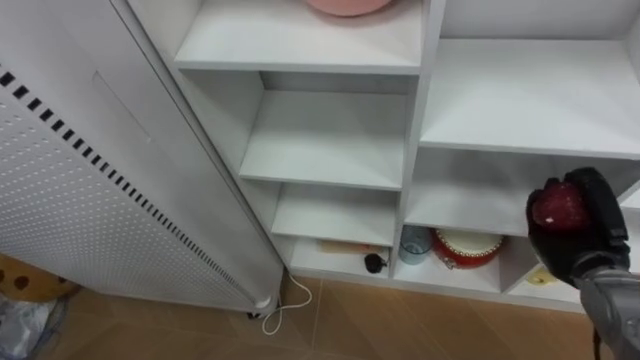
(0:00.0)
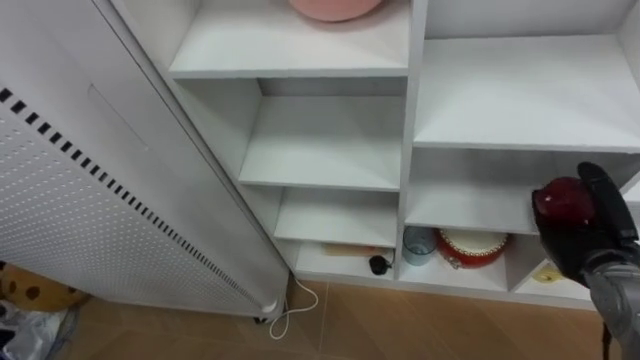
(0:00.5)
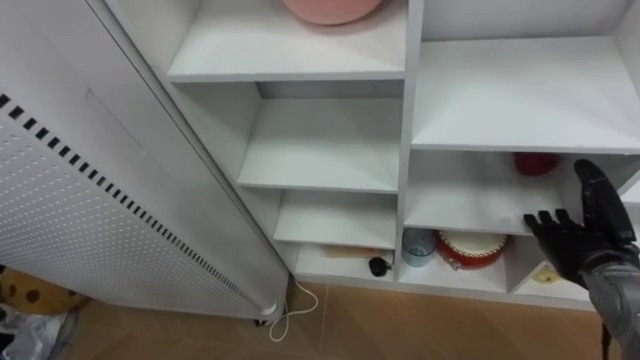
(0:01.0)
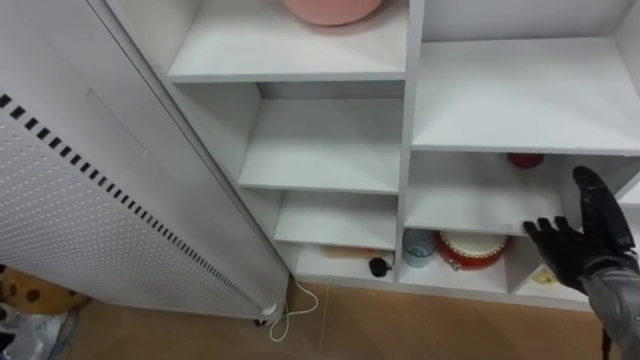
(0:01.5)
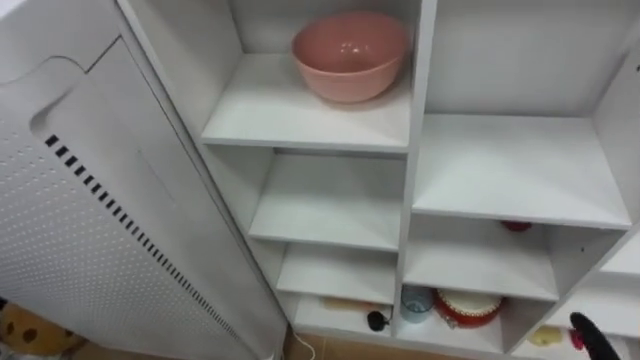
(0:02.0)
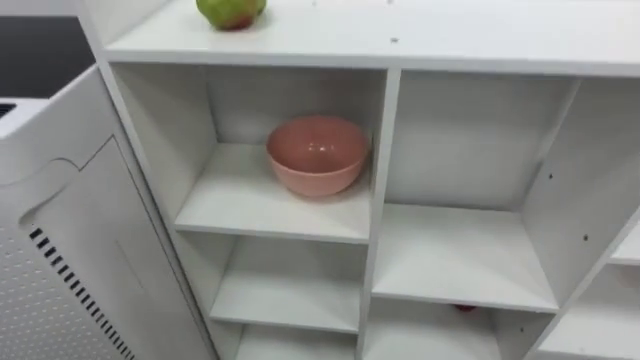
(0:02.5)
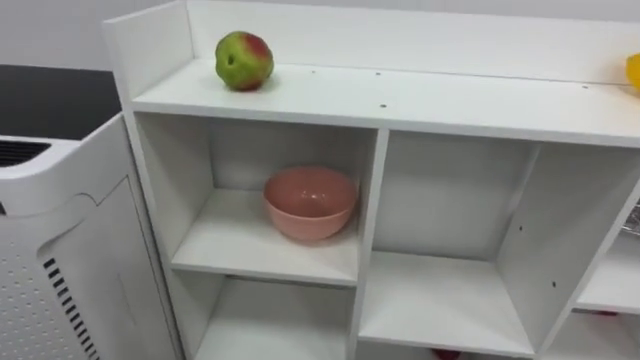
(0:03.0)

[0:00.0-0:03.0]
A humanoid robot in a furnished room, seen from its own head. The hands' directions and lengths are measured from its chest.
Task of the whole recording: Put the apple in the cell in the second column from the left and the second row from the top.
0:00.0 to 0:01.5: The right hand opens up.

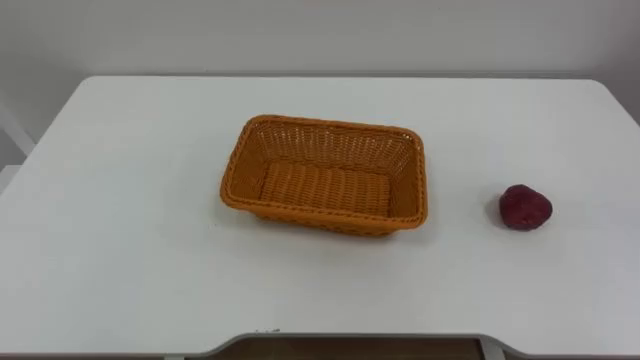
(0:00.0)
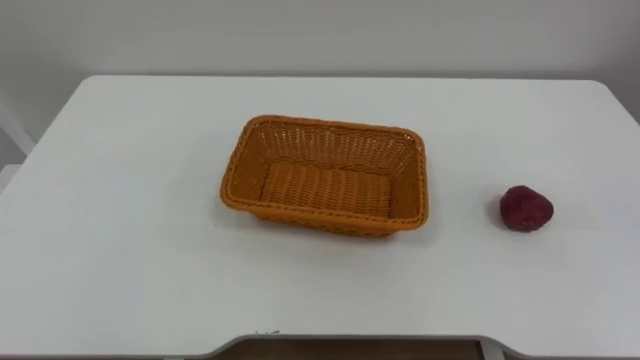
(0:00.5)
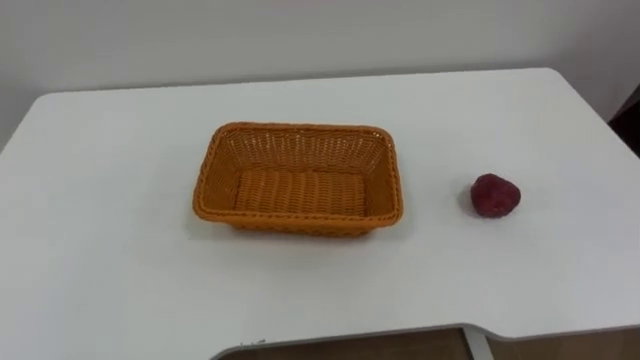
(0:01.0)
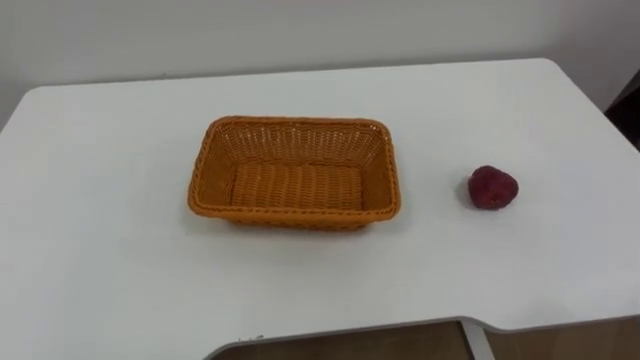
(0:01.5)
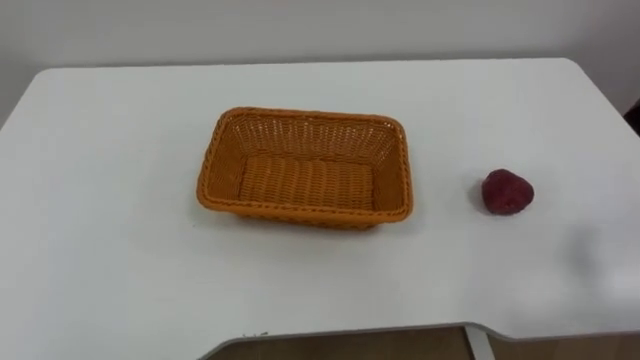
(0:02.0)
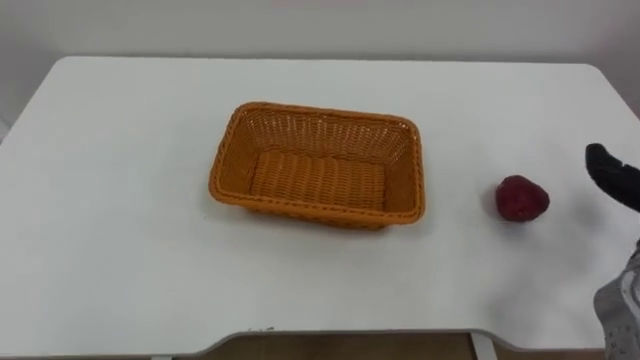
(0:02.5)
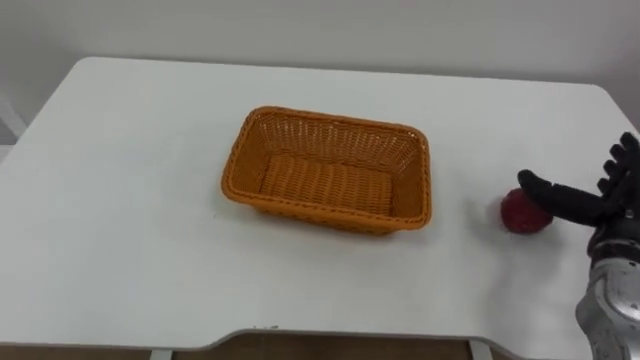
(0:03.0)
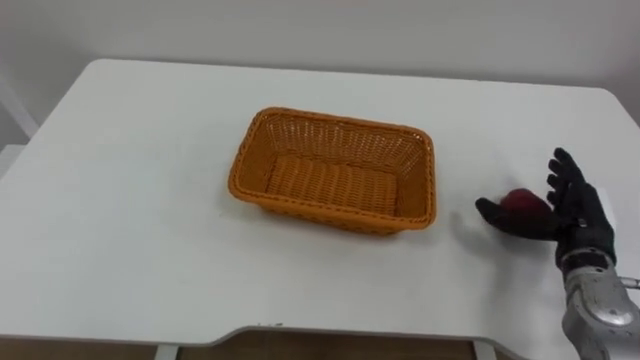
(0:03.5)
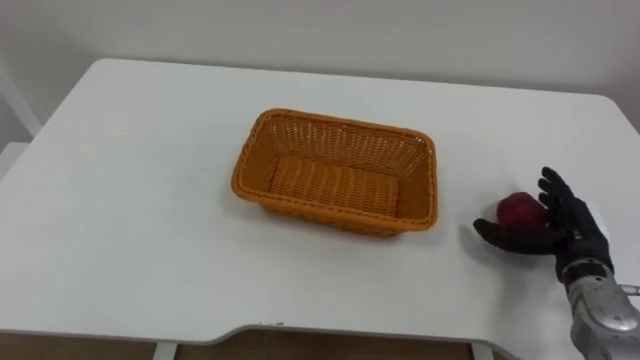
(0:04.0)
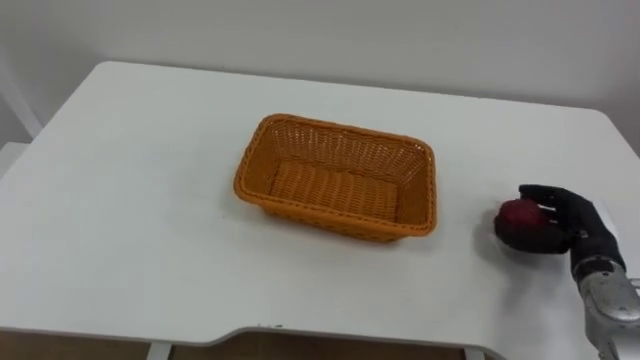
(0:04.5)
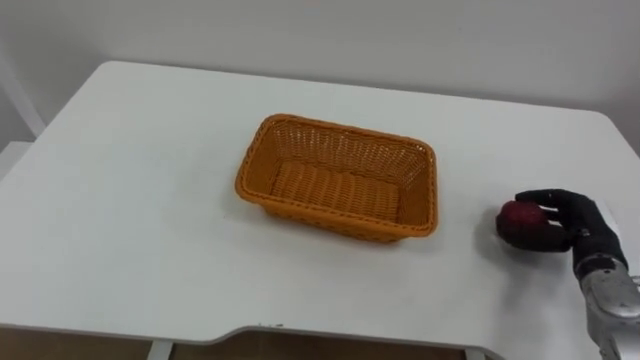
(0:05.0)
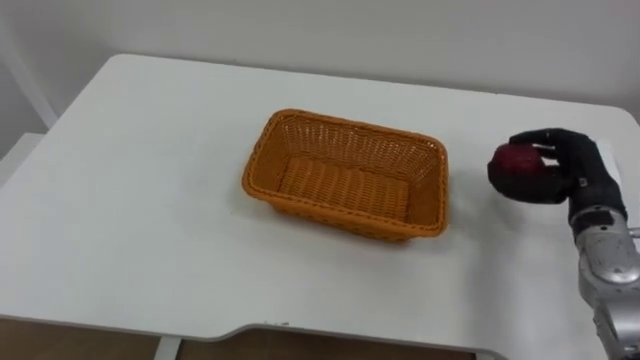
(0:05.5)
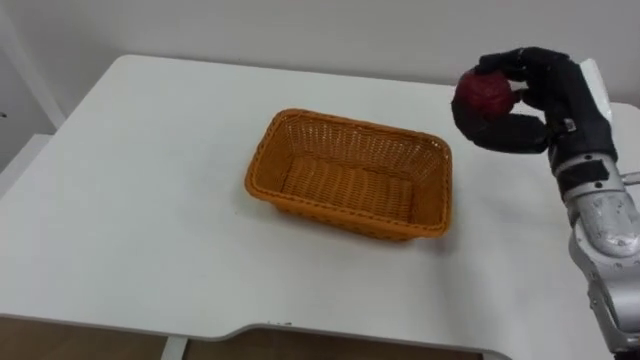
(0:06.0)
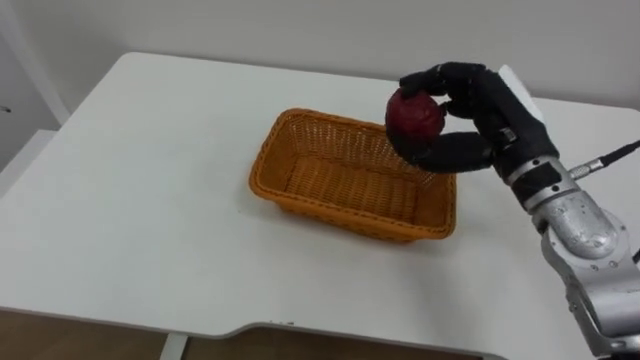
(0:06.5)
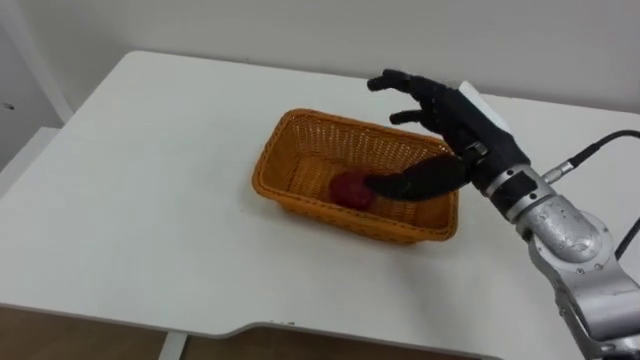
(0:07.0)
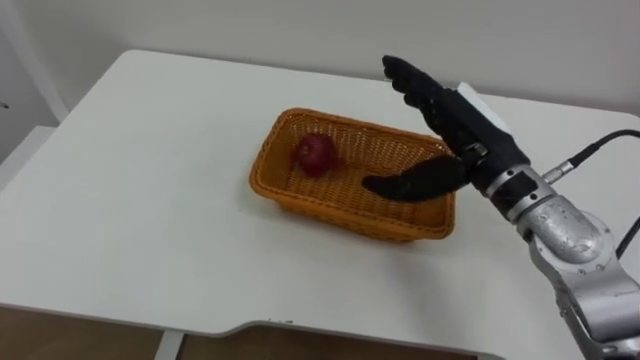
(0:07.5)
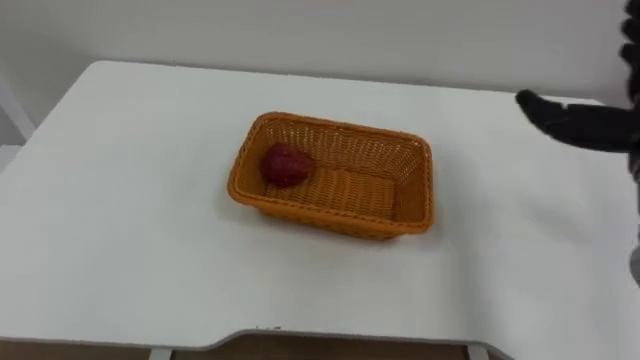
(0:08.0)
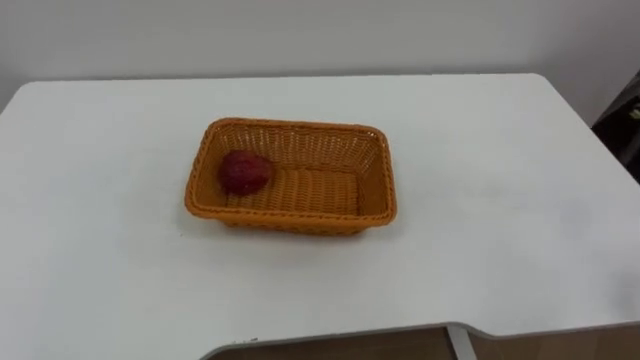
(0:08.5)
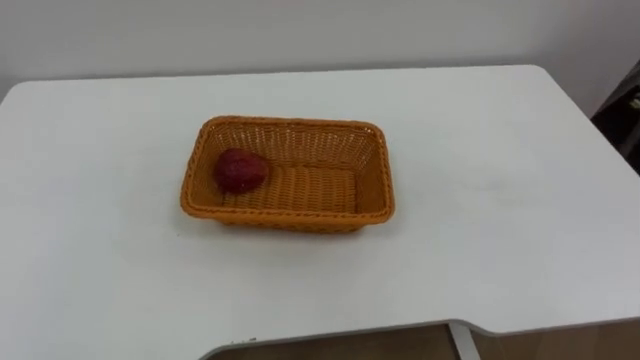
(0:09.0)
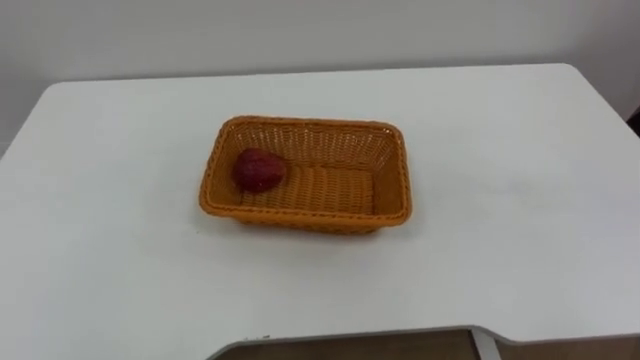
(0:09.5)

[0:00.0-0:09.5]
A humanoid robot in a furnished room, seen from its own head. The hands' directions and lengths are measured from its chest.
Task of the whole recording: Pick the apple and place it in the box.
0:04.0 to 0:05.5: The right hand is displaced upward by approximately 5 cm, and closes.
0:05.5 to 0:07.5: The right hand is displaced to the left and upward by approximately 20 cm, and opens.

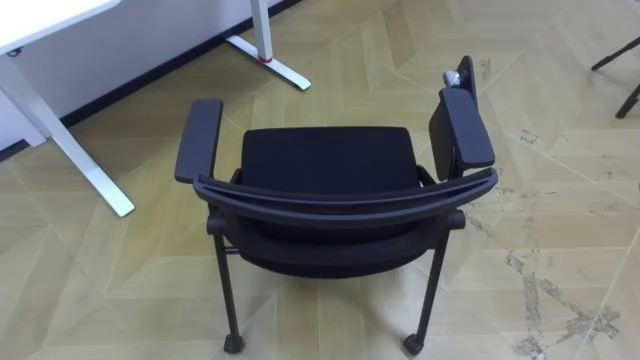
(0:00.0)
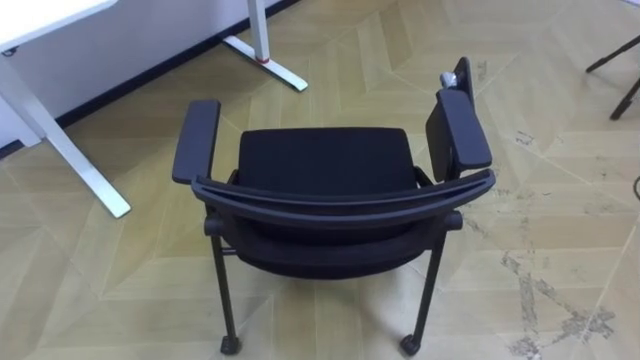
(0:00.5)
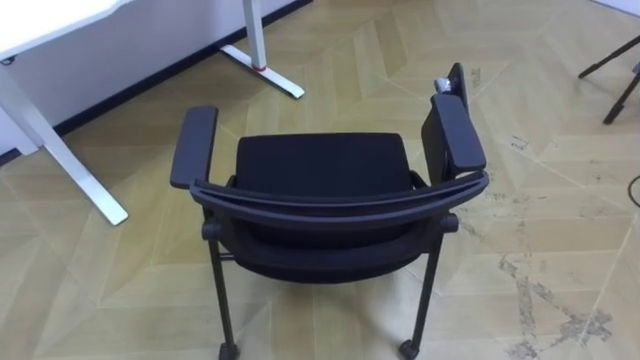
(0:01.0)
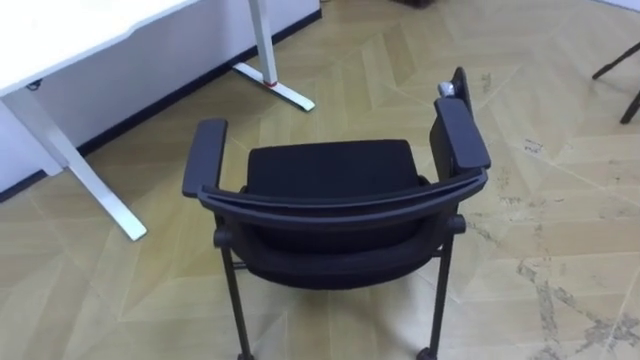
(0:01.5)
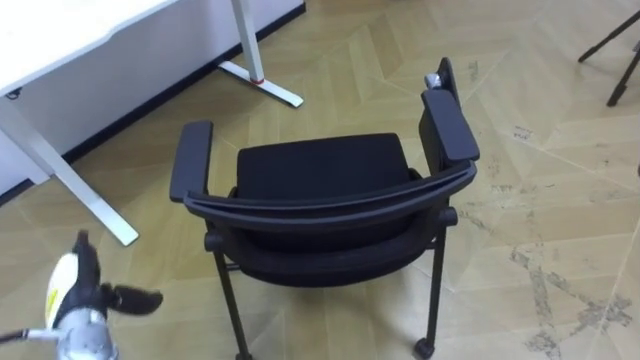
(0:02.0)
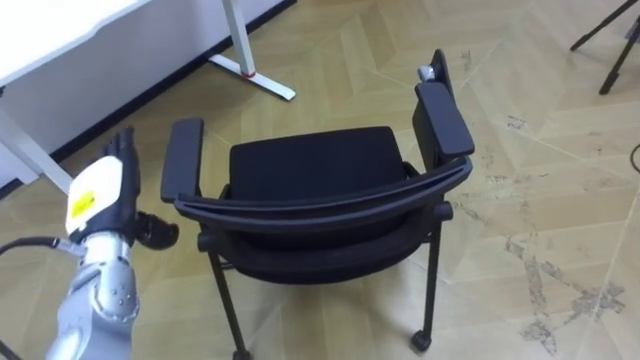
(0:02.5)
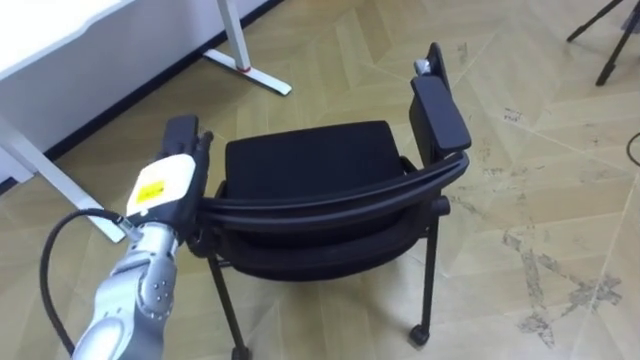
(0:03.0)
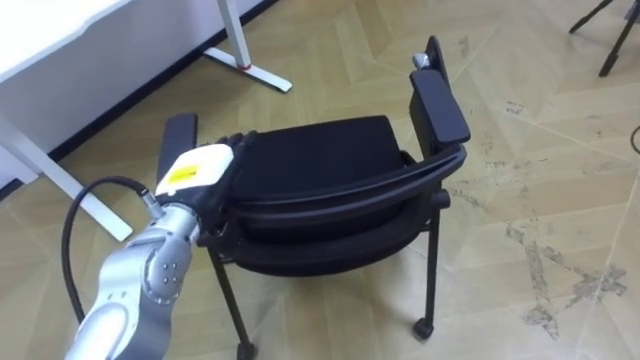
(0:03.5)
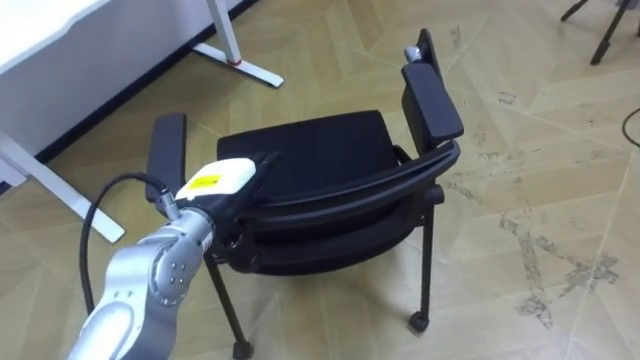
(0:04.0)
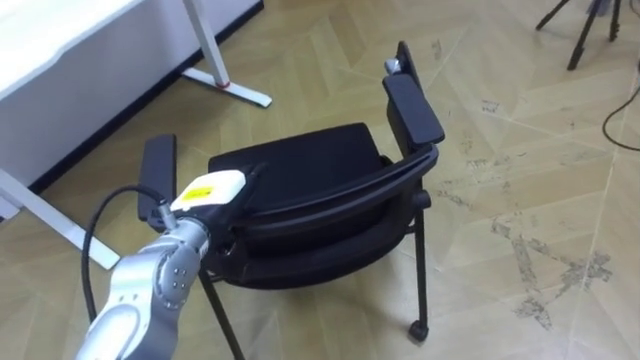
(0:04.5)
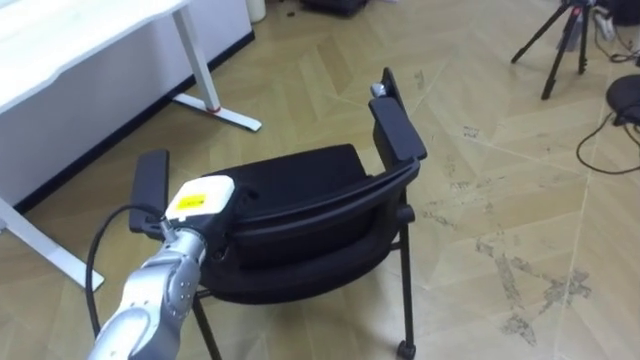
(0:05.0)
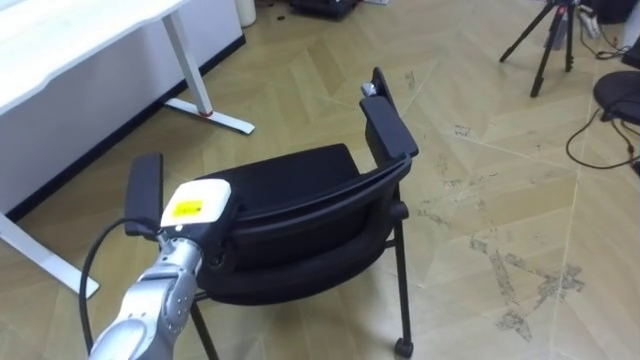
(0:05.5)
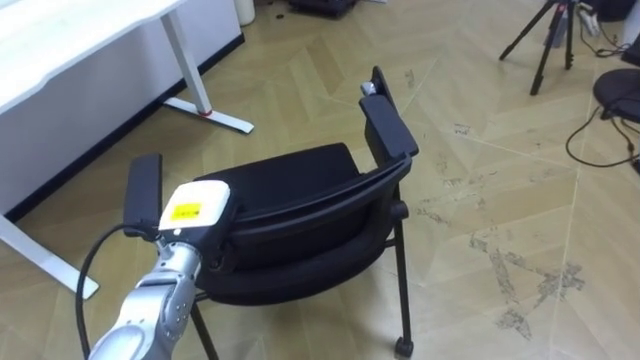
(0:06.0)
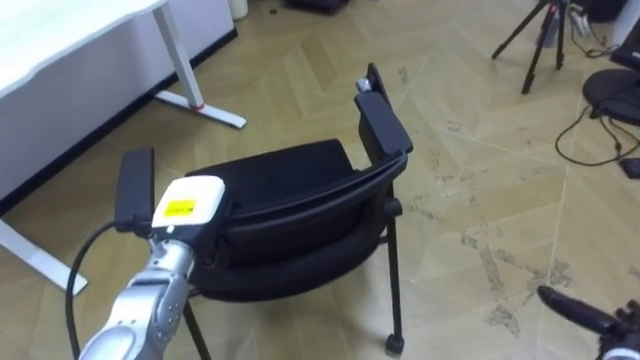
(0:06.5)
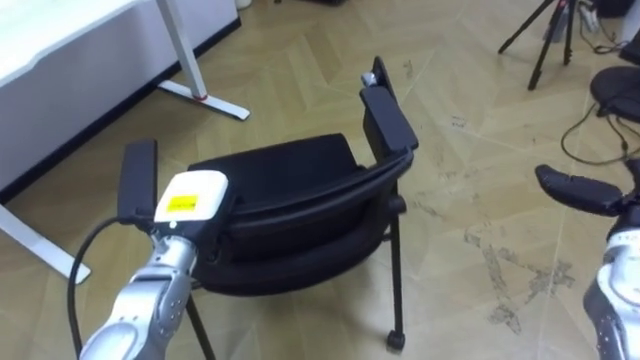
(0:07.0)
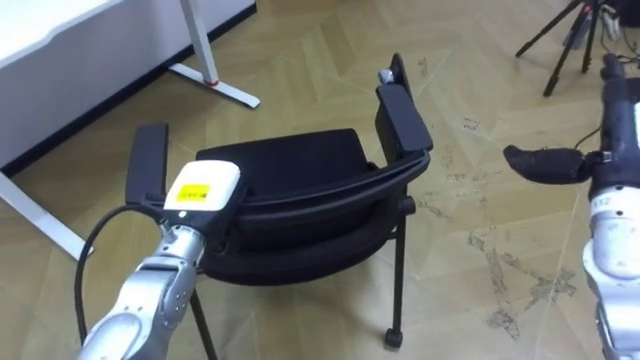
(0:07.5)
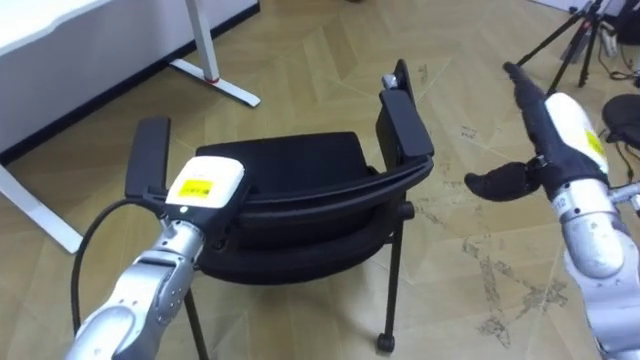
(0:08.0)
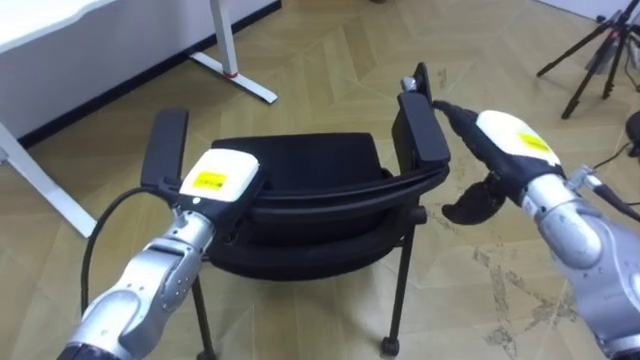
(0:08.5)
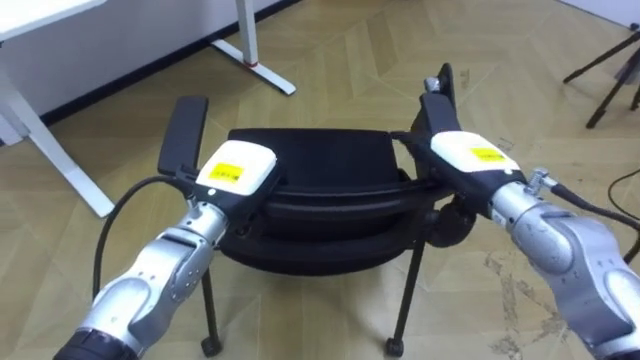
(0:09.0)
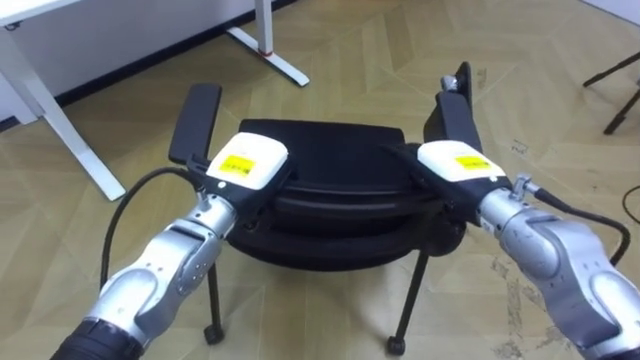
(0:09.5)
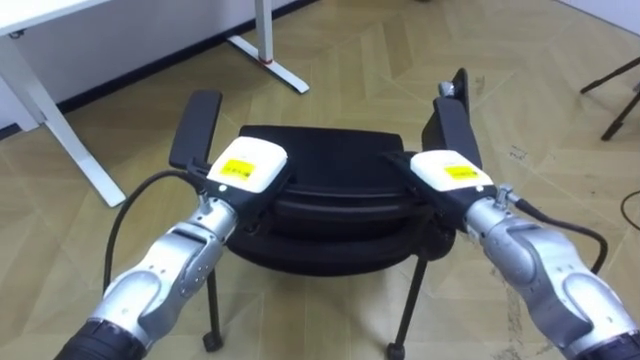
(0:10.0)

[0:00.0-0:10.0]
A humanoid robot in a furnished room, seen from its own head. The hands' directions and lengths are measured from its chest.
Task of the whole recording: Push the chair under the table.
0:02.0 to 0:04.0: The left hand travels to the right, upward and forward by about 25 cm.
0:04.0 to 0:06.0: The left hand goes about 5 cm downward, and closes its fingers.
0:08.0 to 0:10.0: The right hand heads to the left and downward, covering some 15 cm; the left hand shifts roughly 5 cm to the right.
